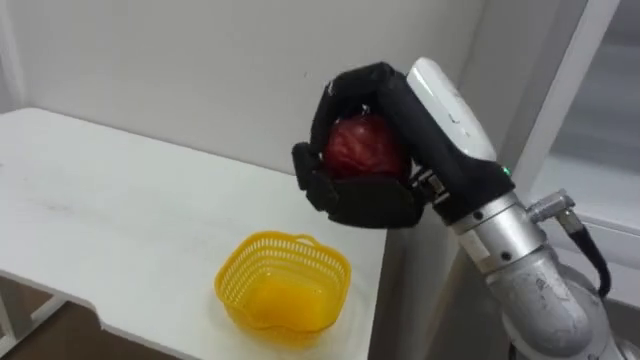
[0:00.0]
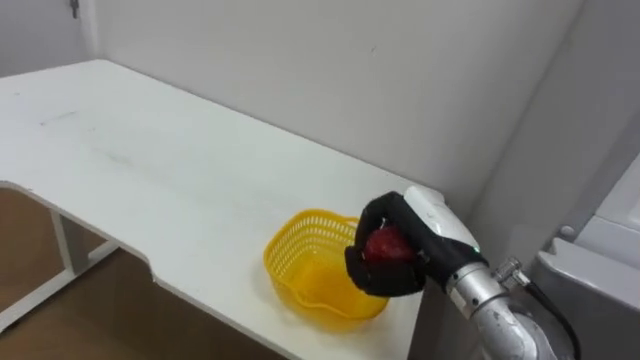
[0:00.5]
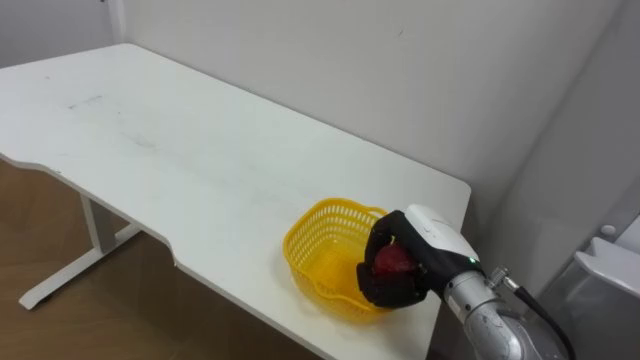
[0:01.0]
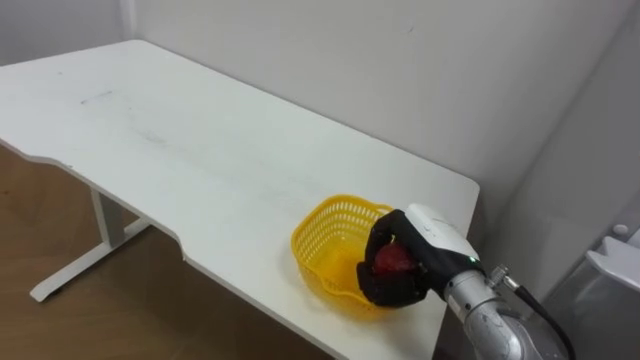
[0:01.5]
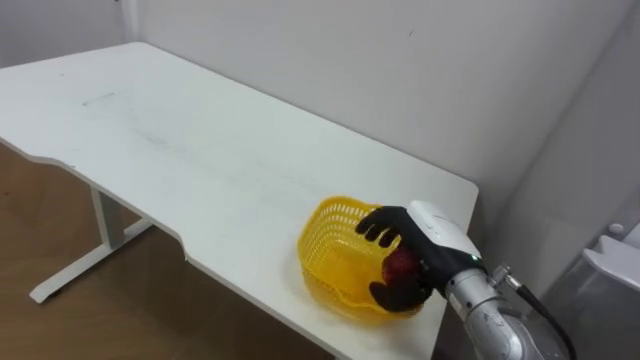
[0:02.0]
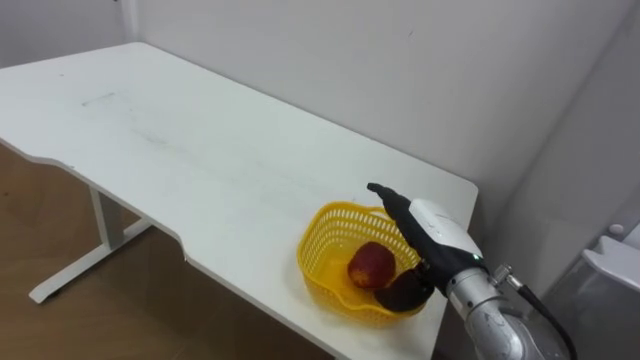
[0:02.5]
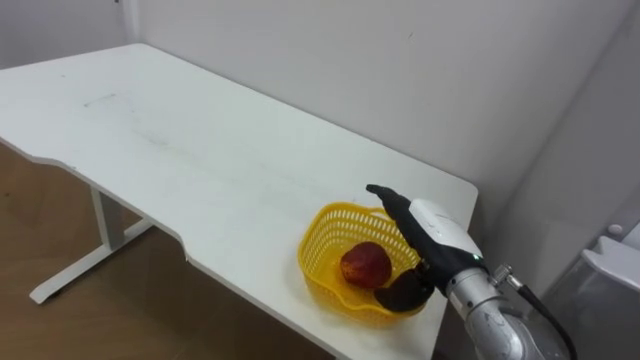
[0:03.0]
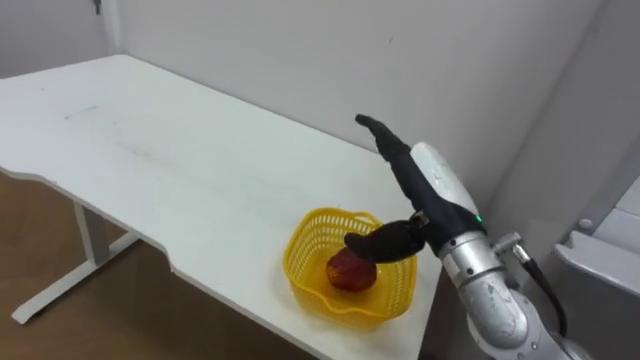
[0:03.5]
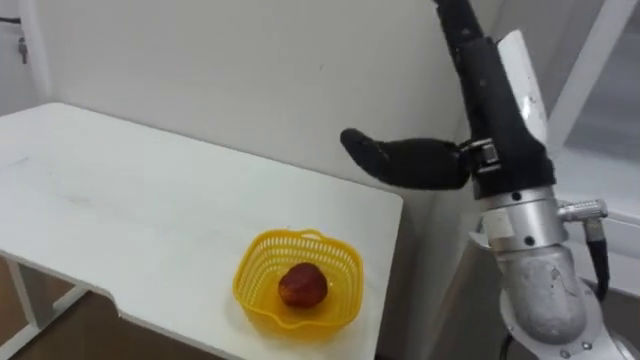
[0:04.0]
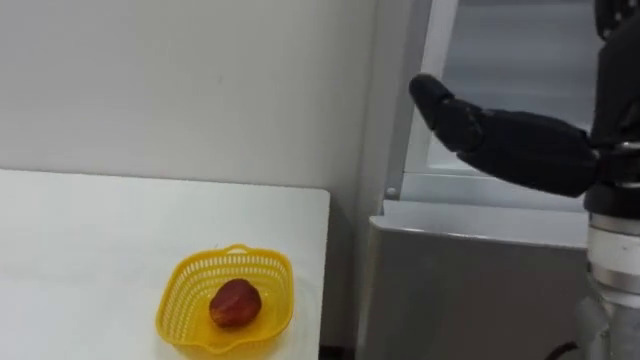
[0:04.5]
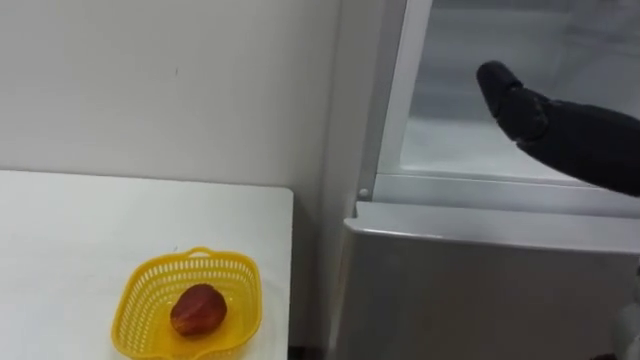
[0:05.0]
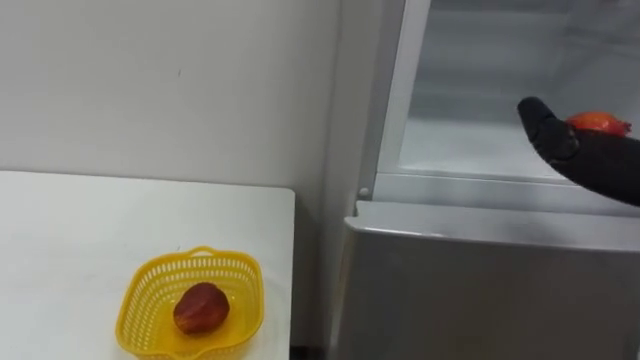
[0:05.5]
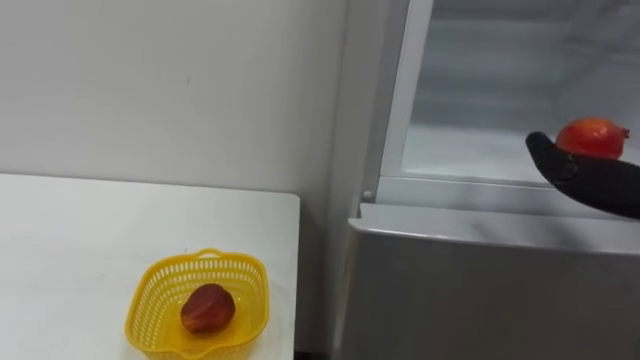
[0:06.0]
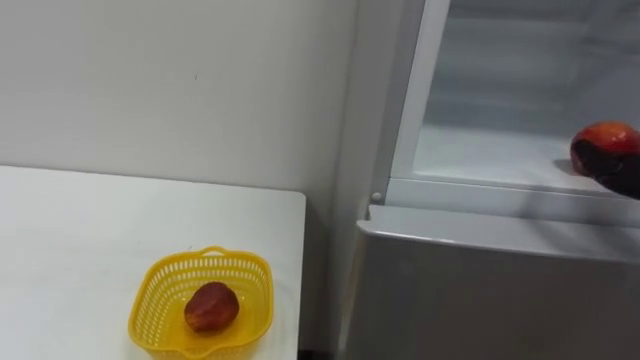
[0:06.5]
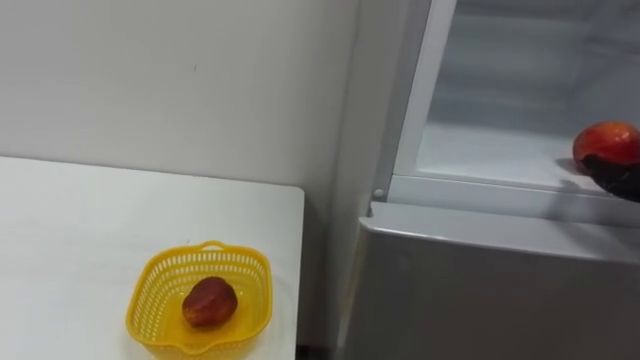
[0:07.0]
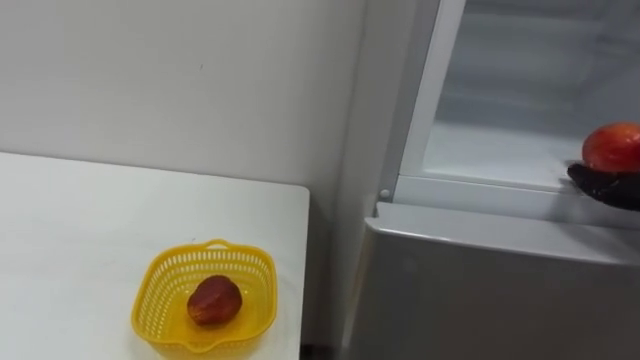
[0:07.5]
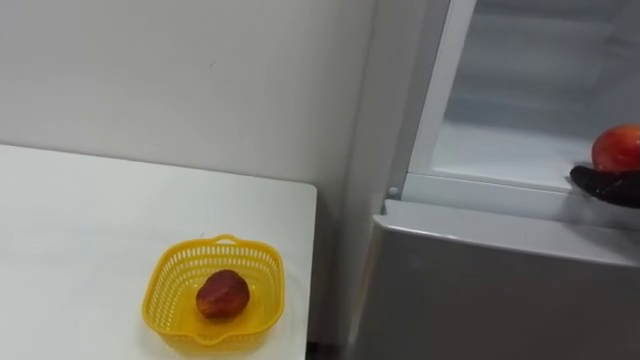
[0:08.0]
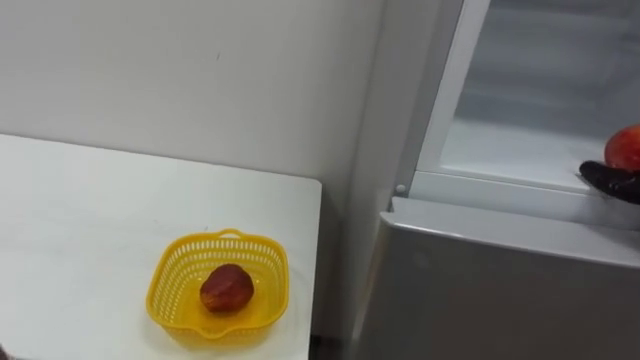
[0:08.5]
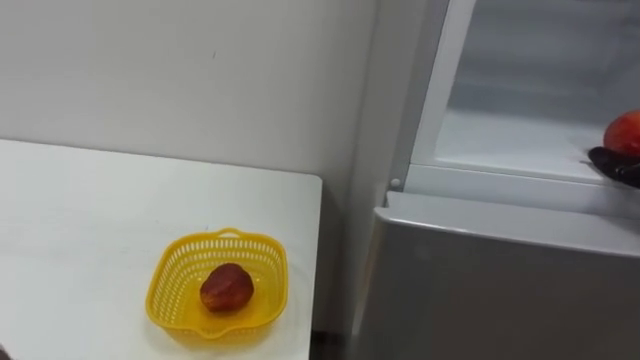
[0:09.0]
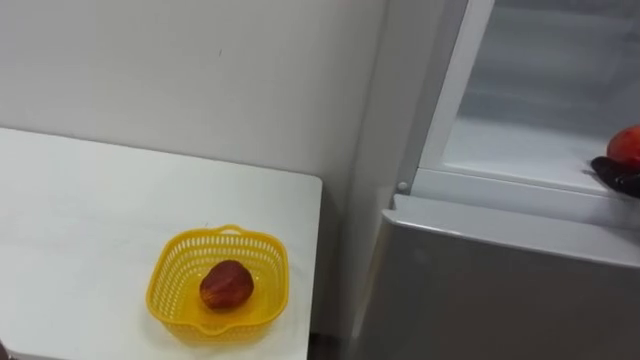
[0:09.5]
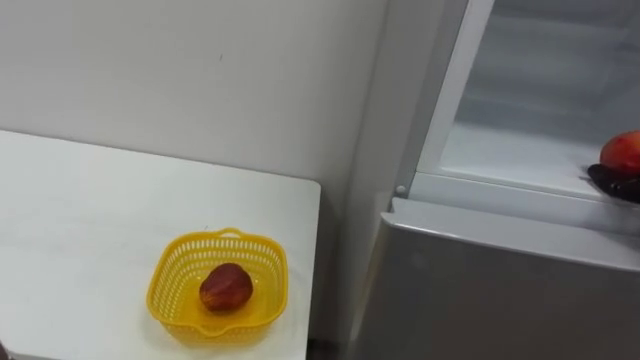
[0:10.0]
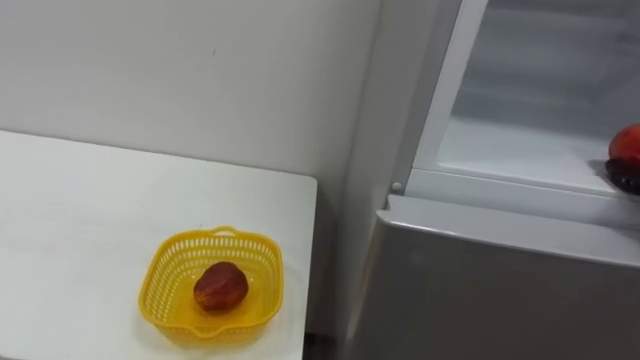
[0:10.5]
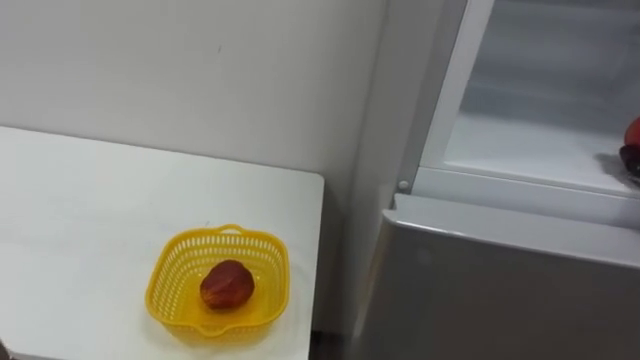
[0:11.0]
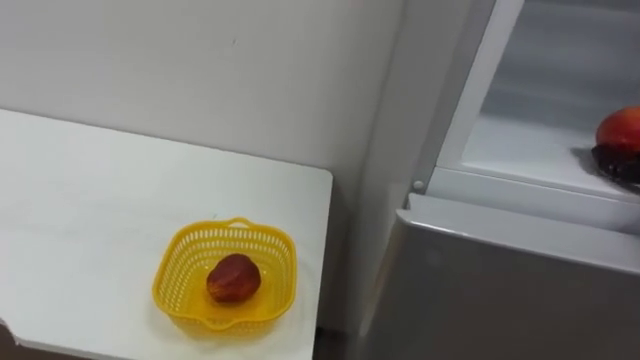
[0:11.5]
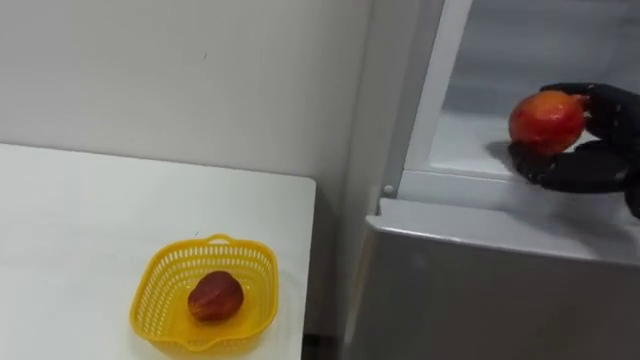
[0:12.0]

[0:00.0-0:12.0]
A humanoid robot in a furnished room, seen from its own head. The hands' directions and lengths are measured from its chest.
Task of the whole recording: Open the refrigerator door, take out the apple and the pomegranate, place them in the fruit basket on the left, and close the refrigerator door.
0:00.0 to 0:02.0: The right hand is displaced downward and forward by roughly 20 cm, and opens its fingers.
0:02.0 to 0:04.0: The right hand heads upward and backward, covering about 20 cm, and opens.

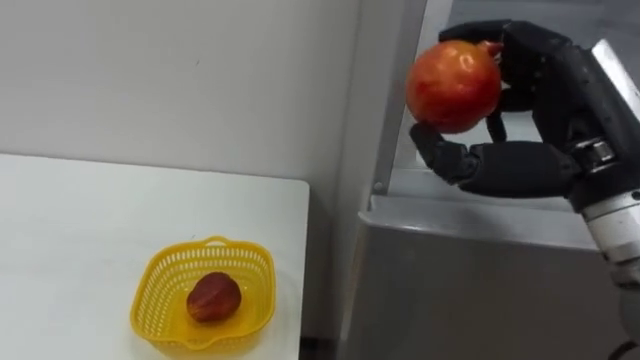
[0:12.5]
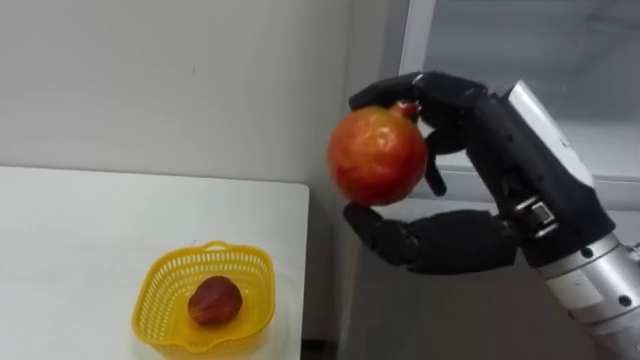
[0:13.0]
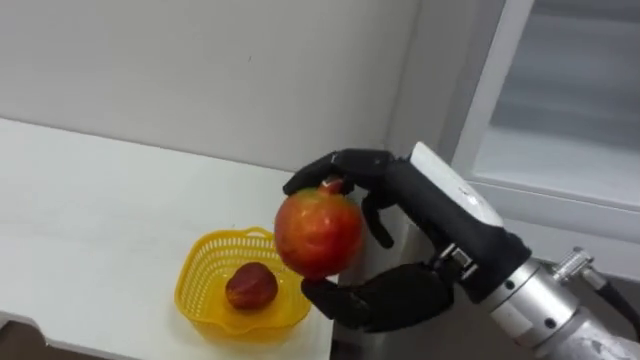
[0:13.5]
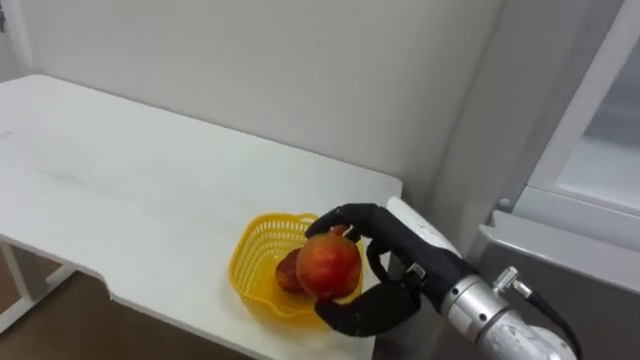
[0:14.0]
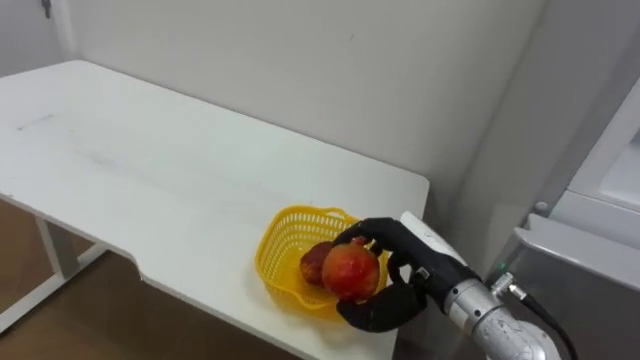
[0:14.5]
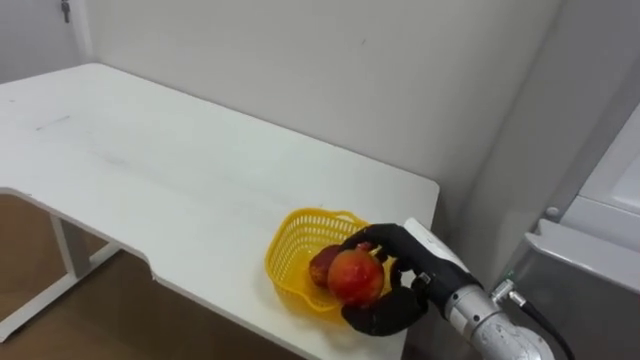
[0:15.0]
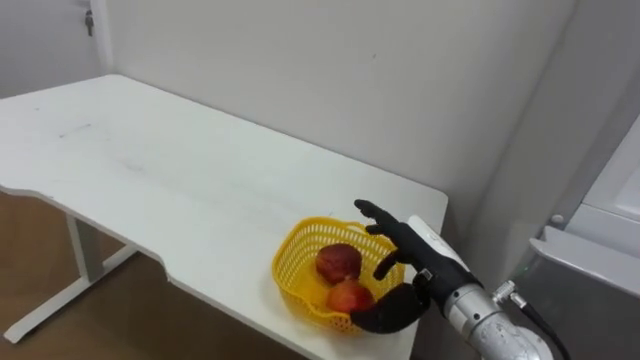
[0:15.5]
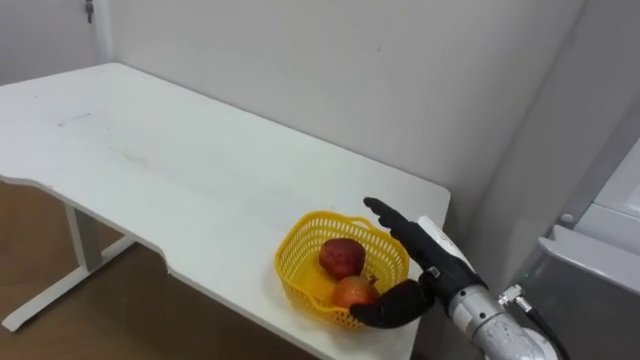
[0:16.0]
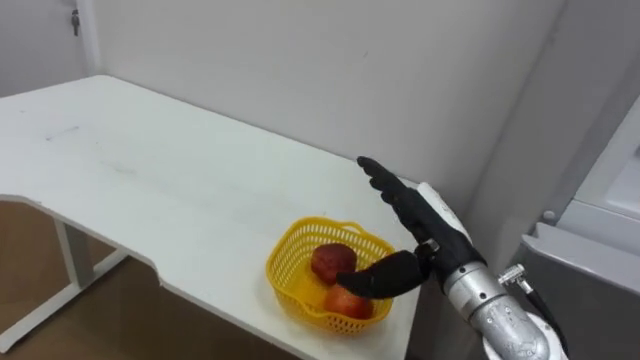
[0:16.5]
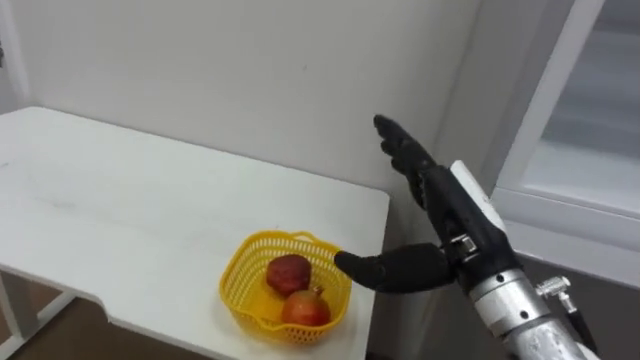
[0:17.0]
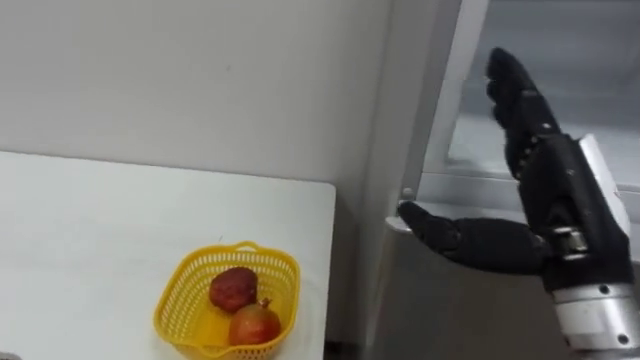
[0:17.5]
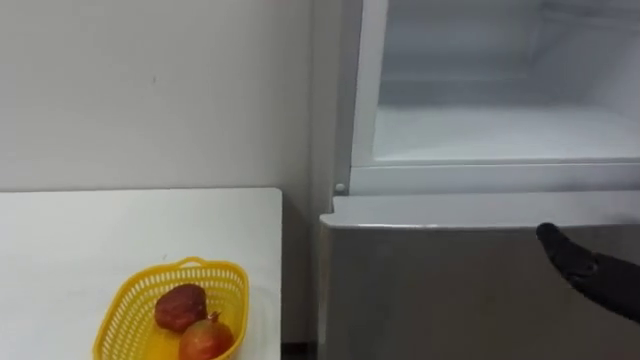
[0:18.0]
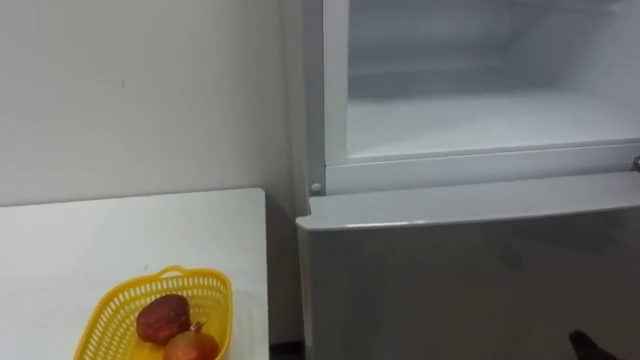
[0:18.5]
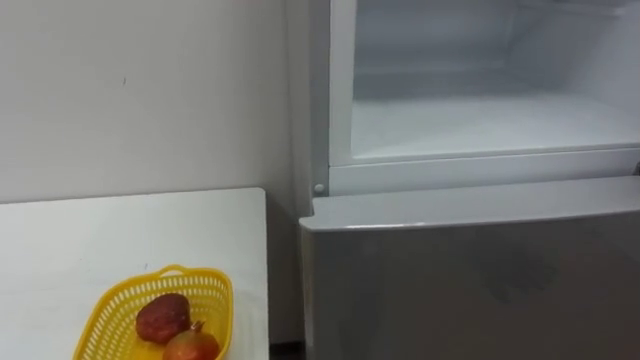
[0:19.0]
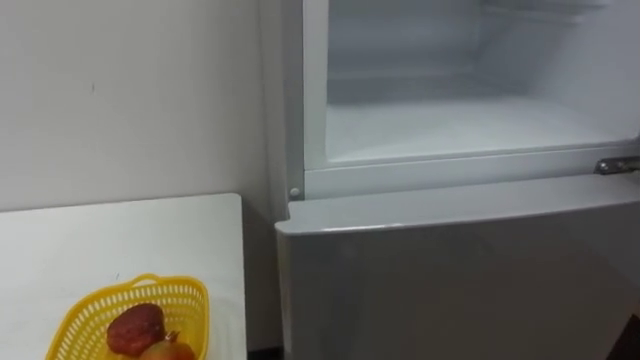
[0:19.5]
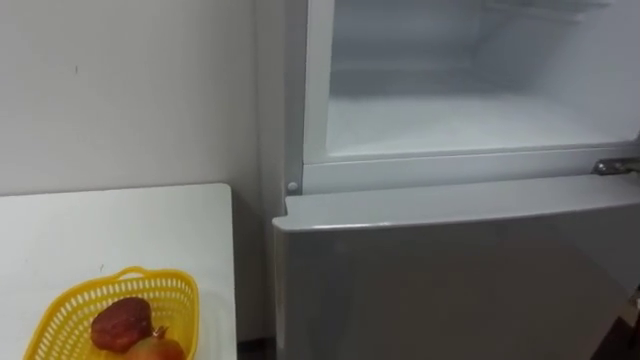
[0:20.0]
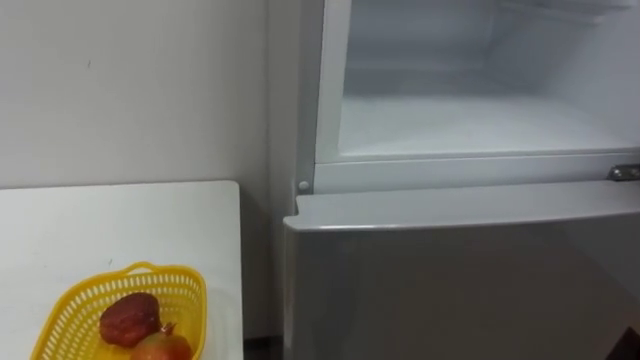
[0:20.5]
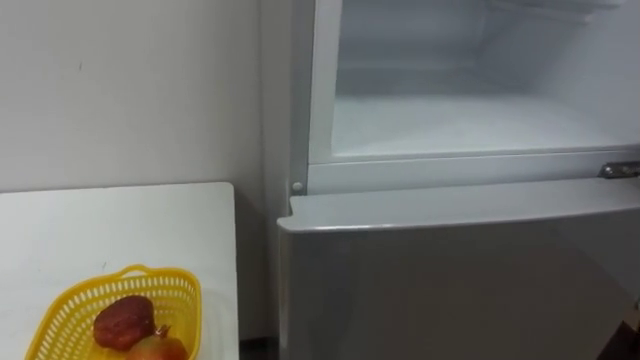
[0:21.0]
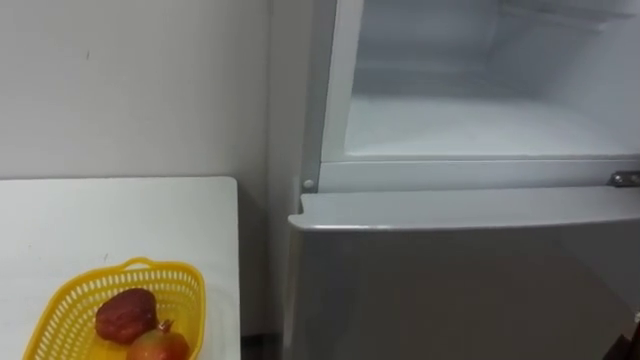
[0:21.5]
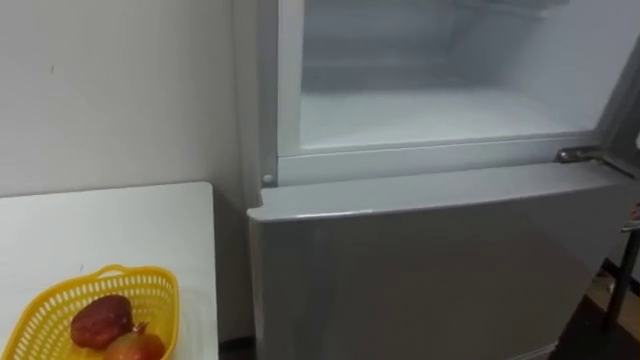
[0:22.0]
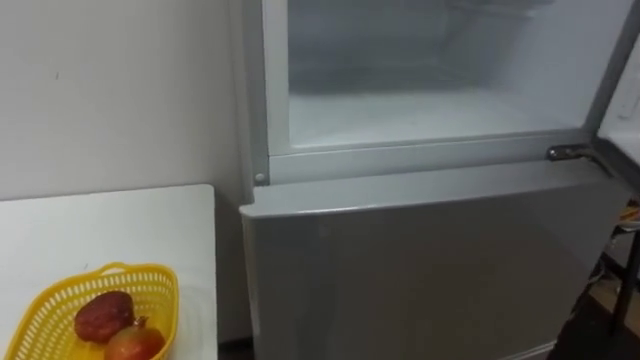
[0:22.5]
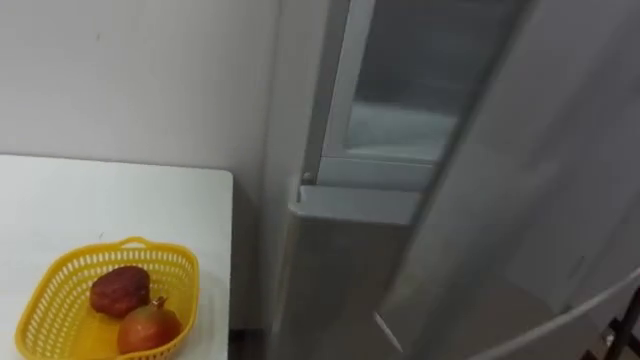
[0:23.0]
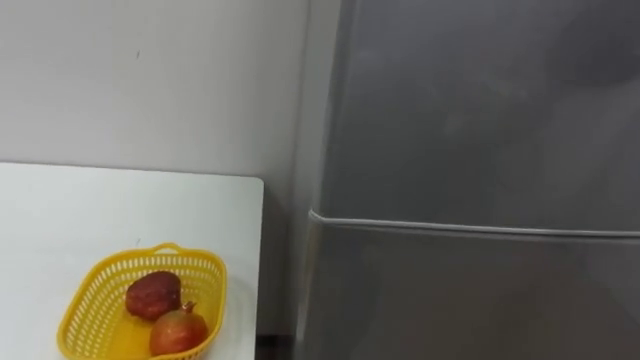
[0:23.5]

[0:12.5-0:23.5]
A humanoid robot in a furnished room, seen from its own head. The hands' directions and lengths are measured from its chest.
Task of the whole recording: Open the refrigerator door, take out the apple and the pomegranate, place them in the fruit basket on the left, and close the refrigerator door.
0:12.5 to 0:14.5: The right hand shifts roughly 20 cm downward and to the left.
0:14.5 to 0:16.0: The right hand opens.
